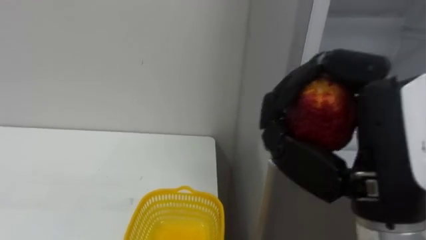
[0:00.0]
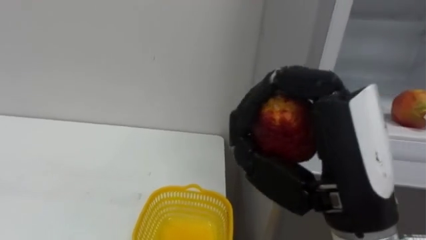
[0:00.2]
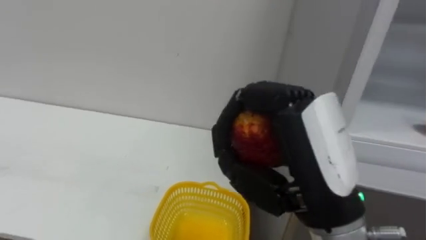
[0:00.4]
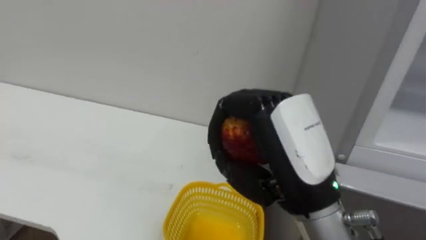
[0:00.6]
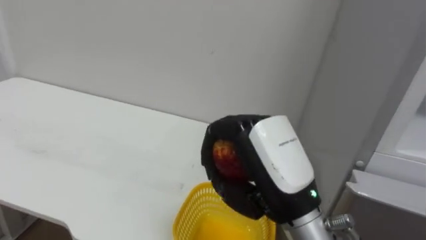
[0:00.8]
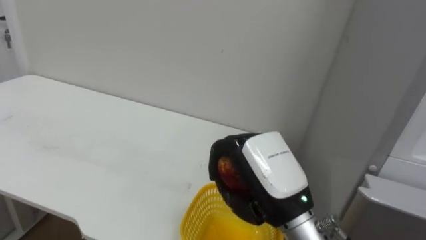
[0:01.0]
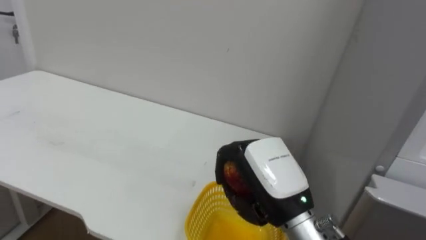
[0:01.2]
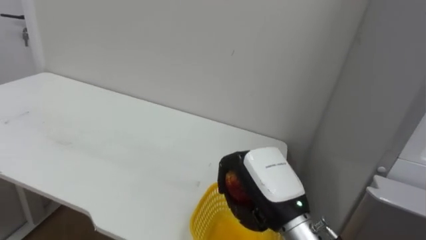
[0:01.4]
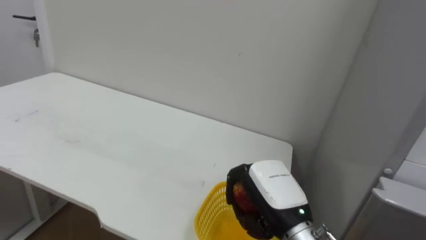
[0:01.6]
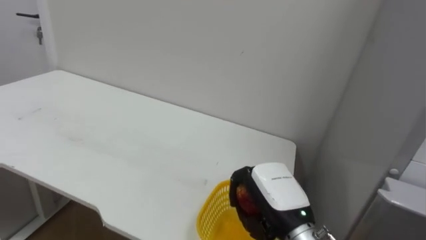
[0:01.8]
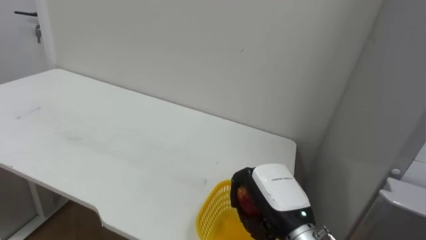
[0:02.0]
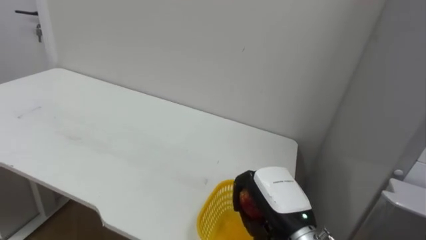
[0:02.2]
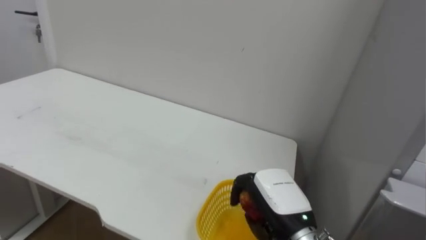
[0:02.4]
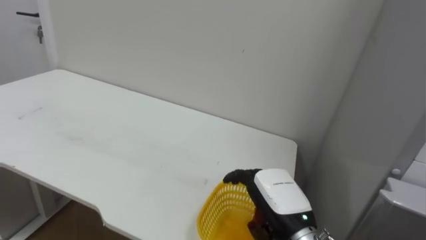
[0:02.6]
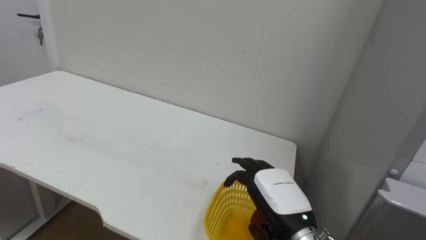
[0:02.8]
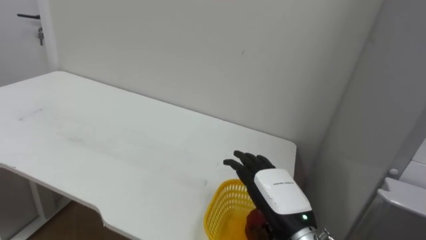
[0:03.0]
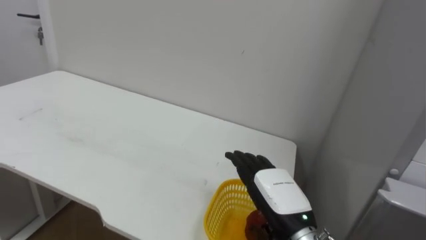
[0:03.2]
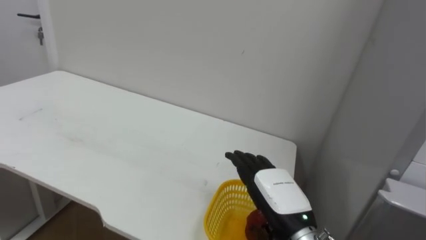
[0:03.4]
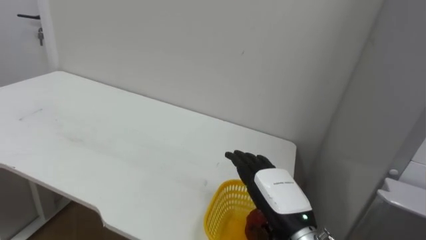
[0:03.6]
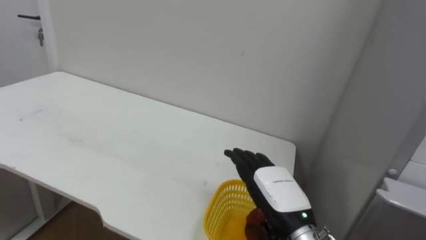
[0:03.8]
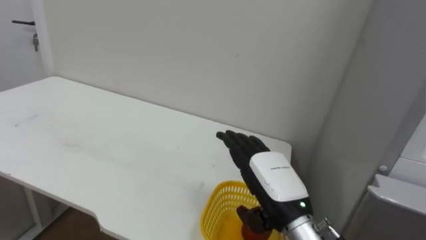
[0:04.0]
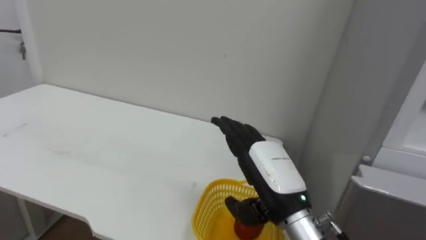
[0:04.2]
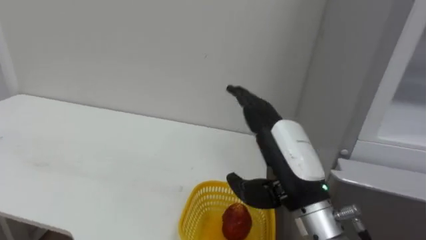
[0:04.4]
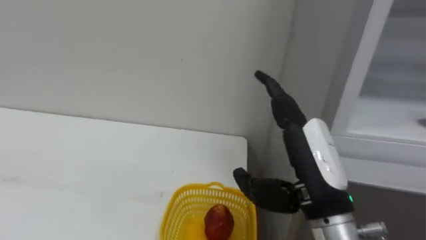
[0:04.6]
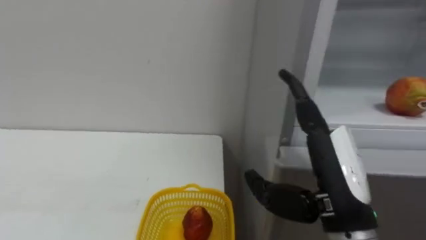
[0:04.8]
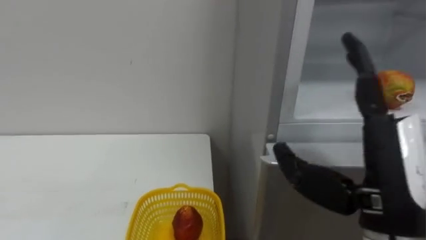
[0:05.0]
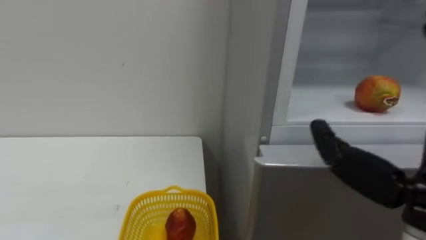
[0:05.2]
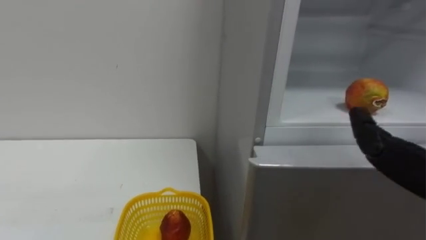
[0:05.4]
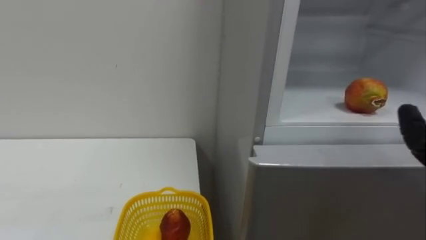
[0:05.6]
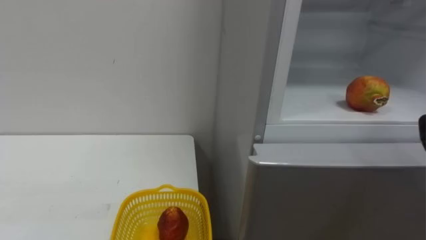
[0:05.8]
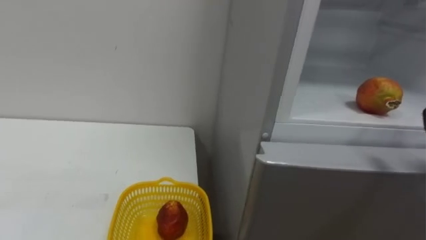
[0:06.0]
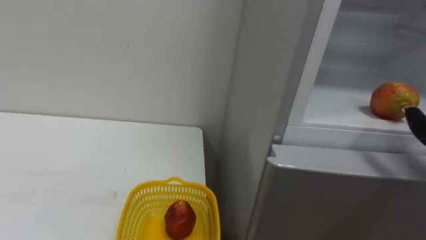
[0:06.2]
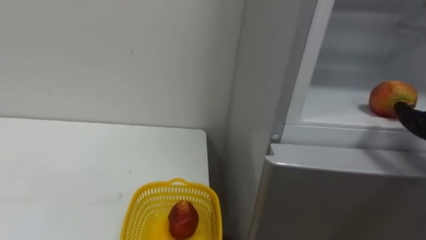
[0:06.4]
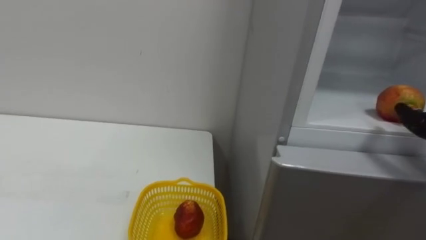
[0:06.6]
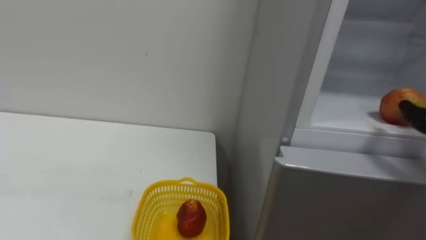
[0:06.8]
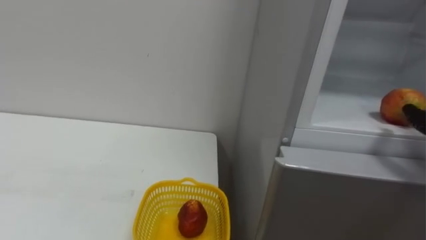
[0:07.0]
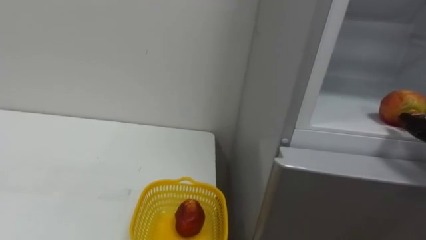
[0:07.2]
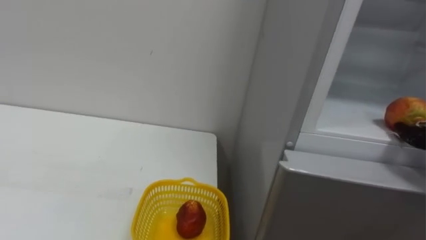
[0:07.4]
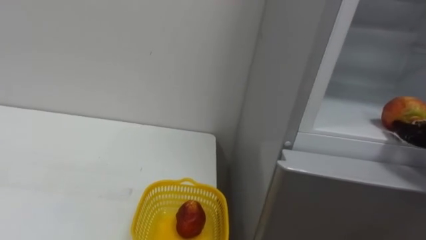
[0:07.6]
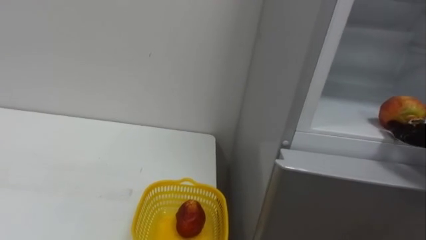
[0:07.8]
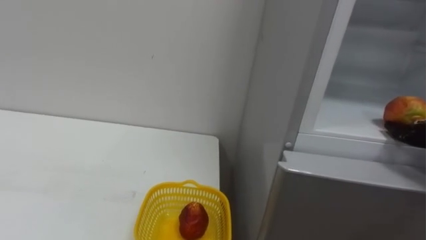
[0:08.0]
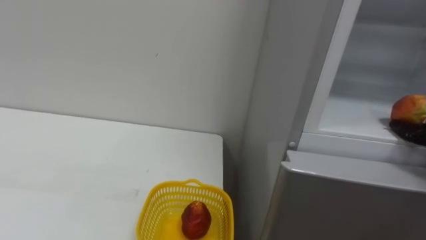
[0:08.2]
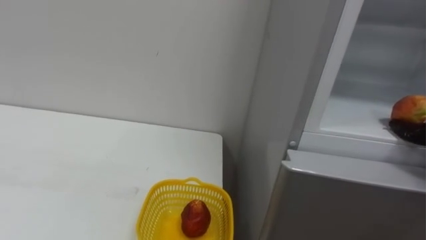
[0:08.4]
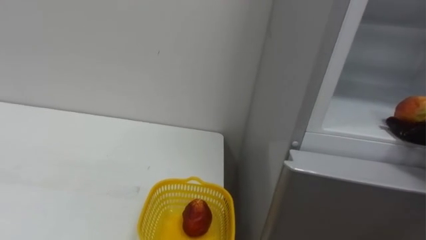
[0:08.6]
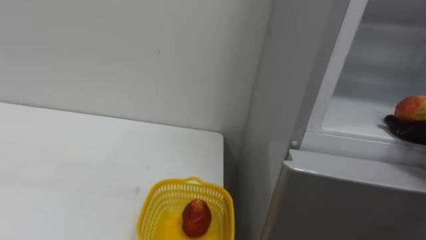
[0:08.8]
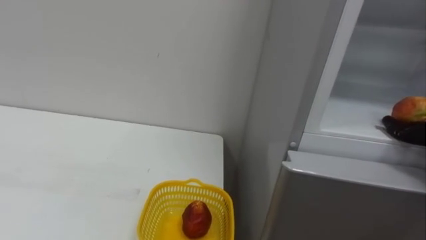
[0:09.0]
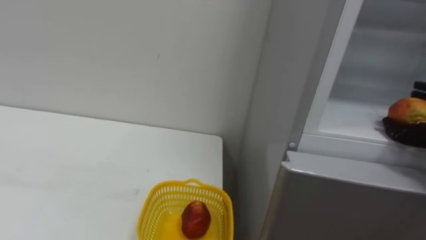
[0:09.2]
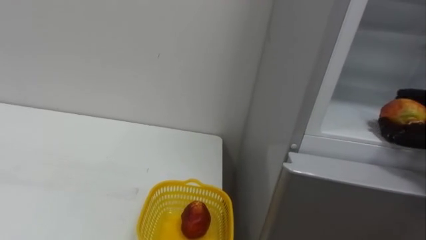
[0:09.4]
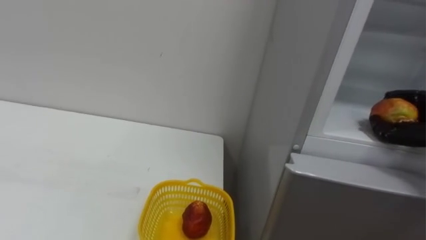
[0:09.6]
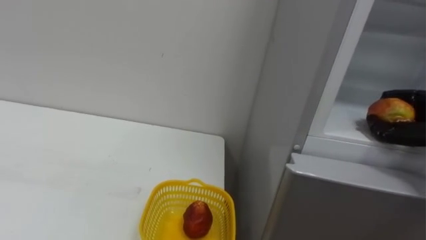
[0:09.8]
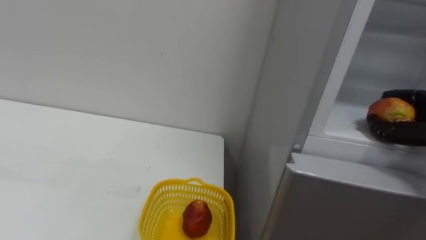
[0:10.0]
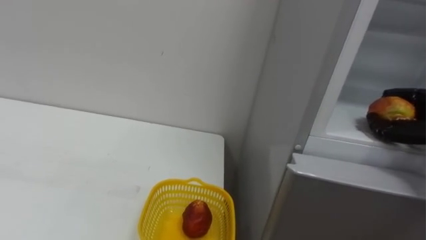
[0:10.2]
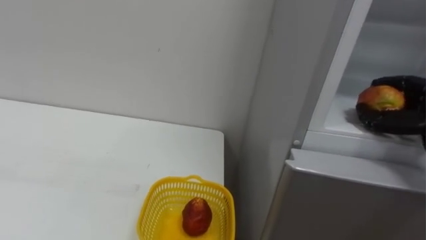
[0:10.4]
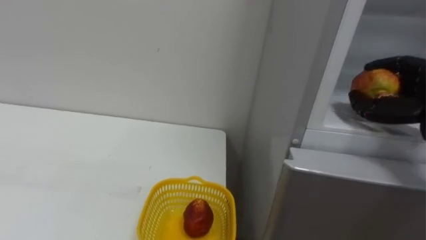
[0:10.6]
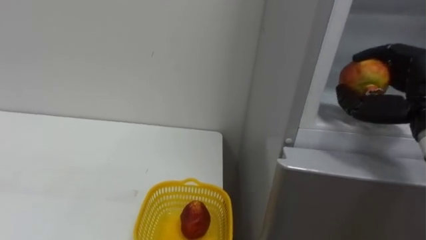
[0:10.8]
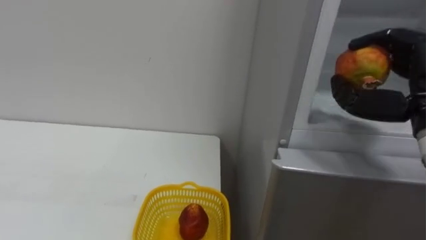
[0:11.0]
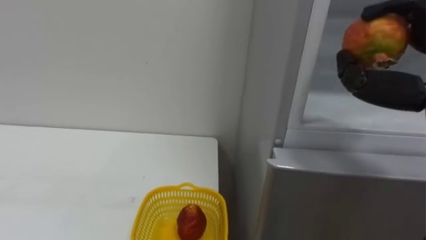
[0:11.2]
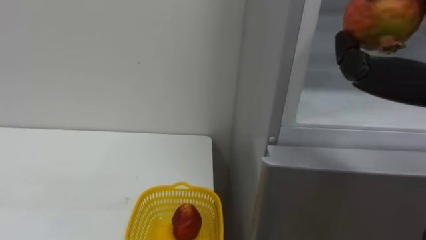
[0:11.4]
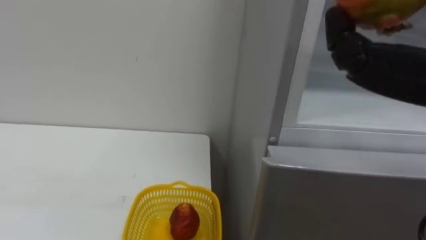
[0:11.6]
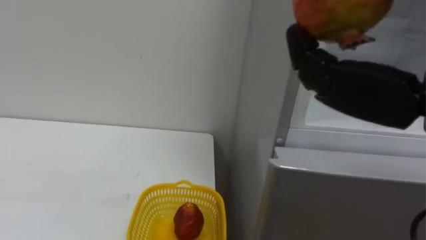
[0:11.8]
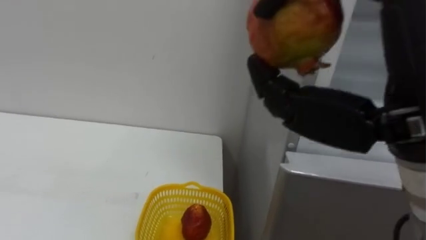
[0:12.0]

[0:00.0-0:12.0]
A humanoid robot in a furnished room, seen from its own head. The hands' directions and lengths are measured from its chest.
Task of the whole recording: Open the refrigerator door, take out the apple and the pomegranate, place them in the fruit basket on the left, and close the refrigerator door.
0:00.0 to 0:01.6: The right hand shifts about 20 cm downward and forward.
0:01.6 to 0:03.0: The right hand opens up.
0:03.0 to 0:04.4: The right hand travels upward by approximately 10 cm.

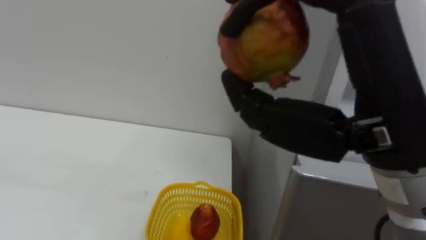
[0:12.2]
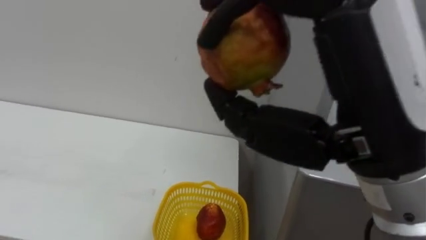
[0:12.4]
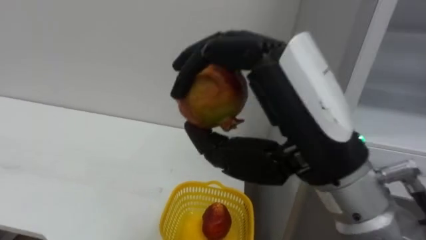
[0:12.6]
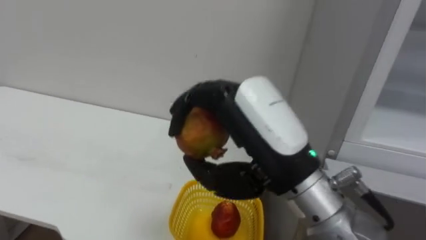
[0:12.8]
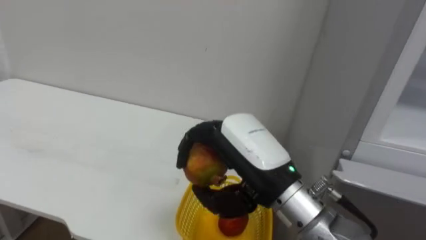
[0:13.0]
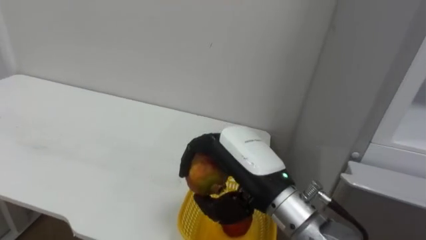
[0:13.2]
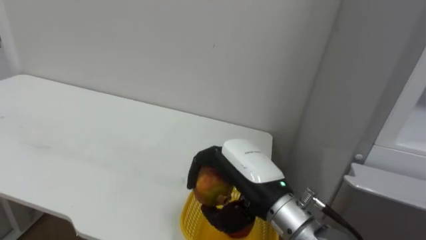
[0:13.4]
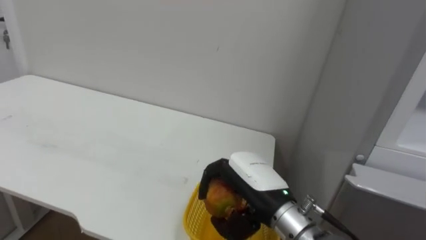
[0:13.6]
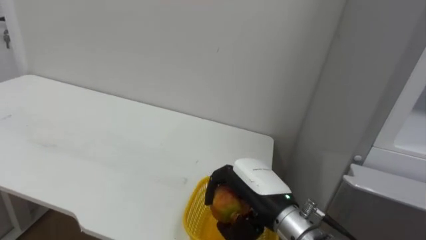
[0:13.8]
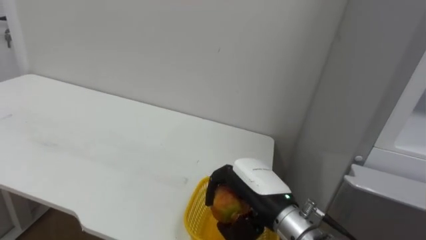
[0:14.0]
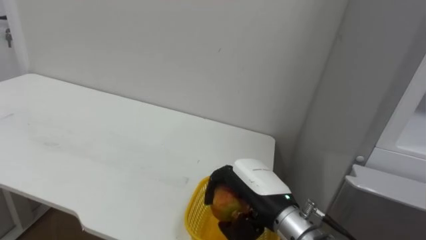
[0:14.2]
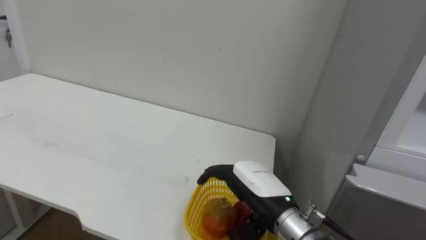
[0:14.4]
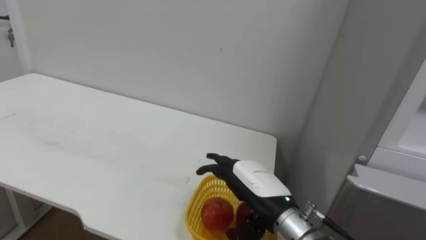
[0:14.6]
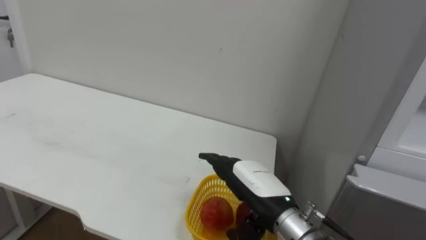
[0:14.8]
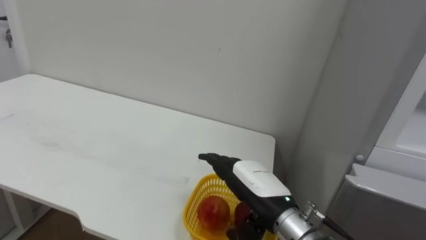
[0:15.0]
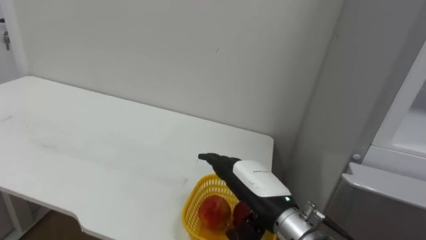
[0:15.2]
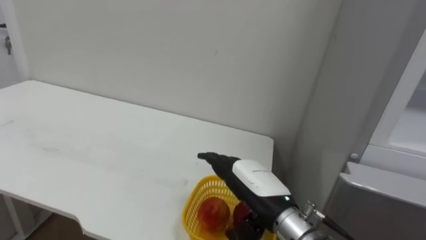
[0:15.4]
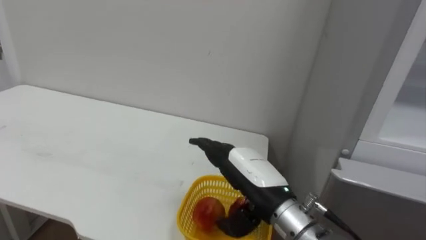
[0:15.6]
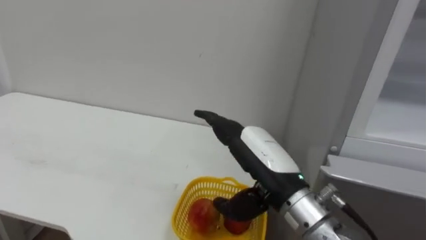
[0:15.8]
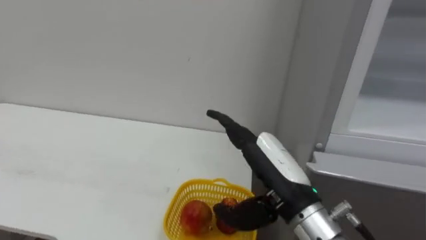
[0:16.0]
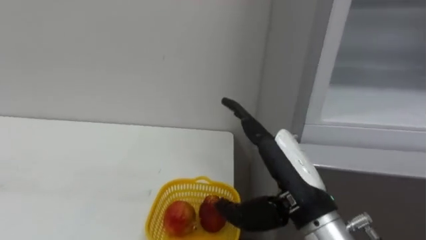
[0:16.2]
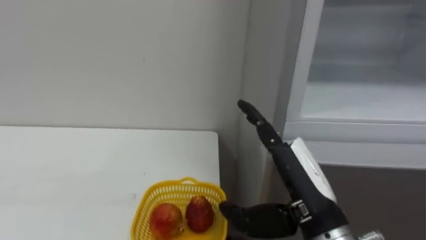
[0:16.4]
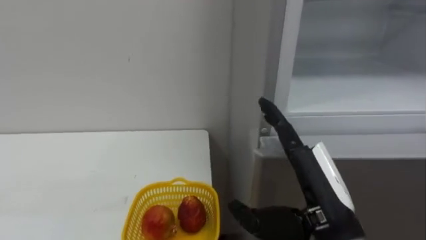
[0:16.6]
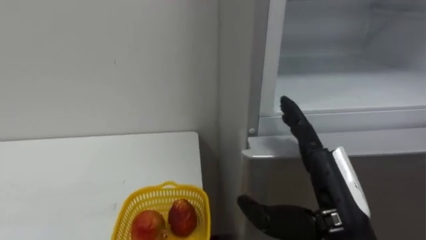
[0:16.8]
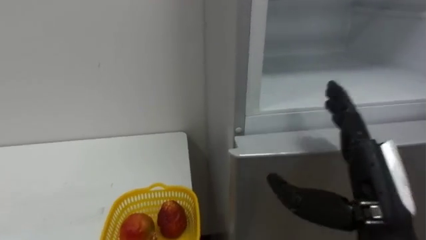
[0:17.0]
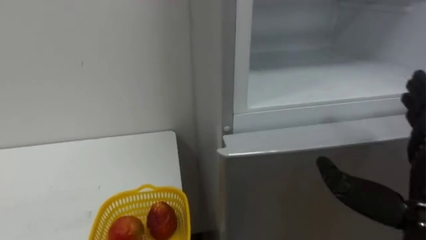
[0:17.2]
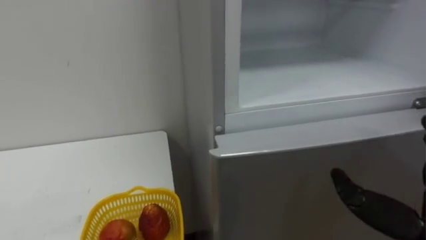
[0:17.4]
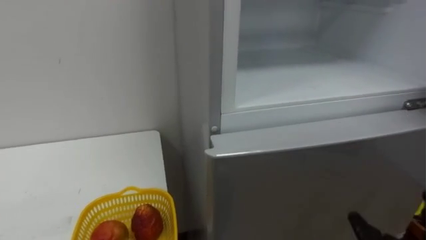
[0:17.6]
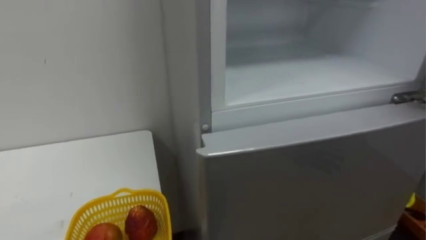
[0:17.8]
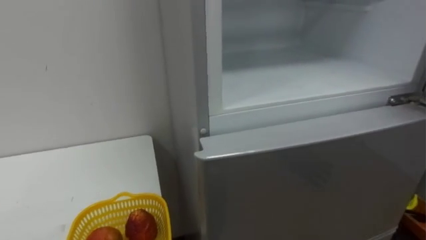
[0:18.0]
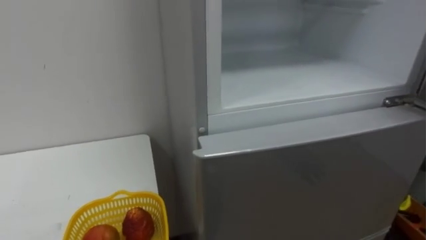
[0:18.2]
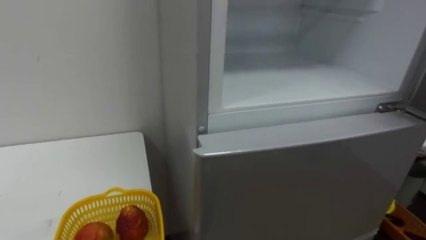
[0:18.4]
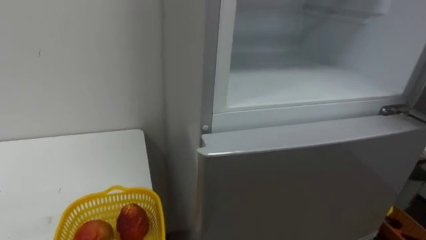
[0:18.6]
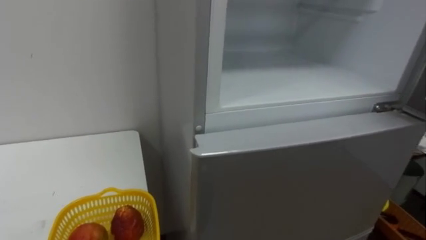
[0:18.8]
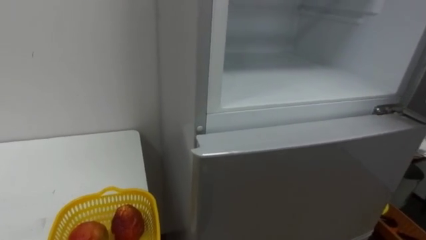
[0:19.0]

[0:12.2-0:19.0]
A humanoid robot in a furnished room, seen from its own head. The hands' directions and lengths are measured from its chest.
Task of the whole recording: Open the refrigerator door, take out the apple and the pomegranate, place them in the fruit basket on the left, and close the refrigerator door.
0:12.2 to 0:13.6: The right hand is displaced downward and forward by approximately 25 cm.
0:13.6 to 0:15.0: The right hand opens up.
0:15.0 to 0:16.2: The right hand moves upward, approximately 10 cm.
